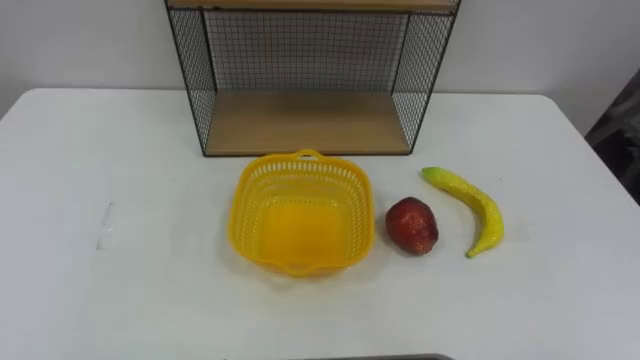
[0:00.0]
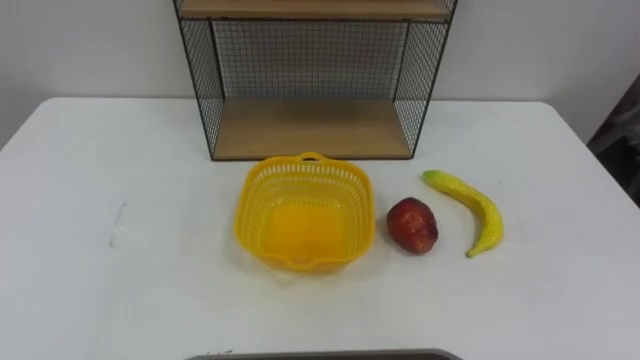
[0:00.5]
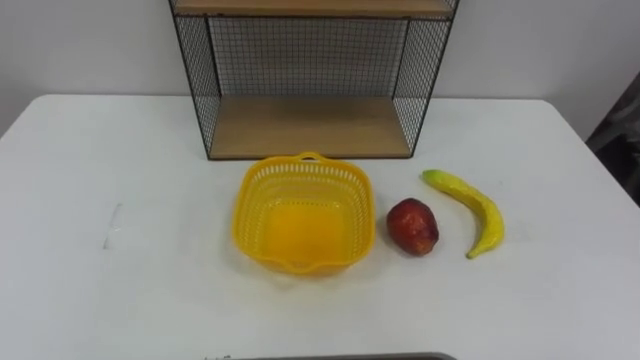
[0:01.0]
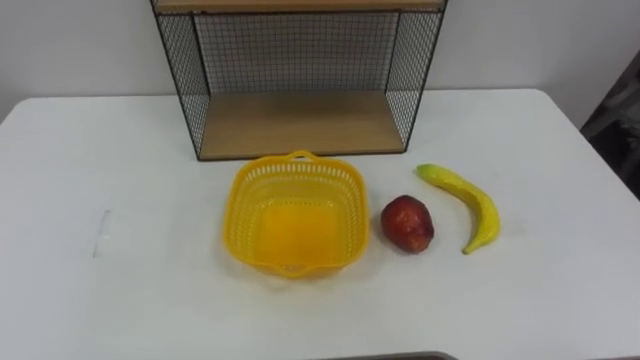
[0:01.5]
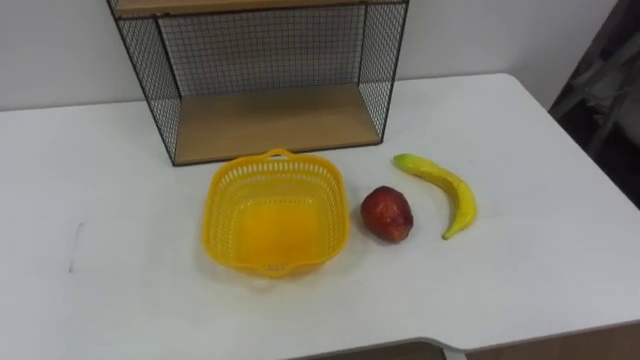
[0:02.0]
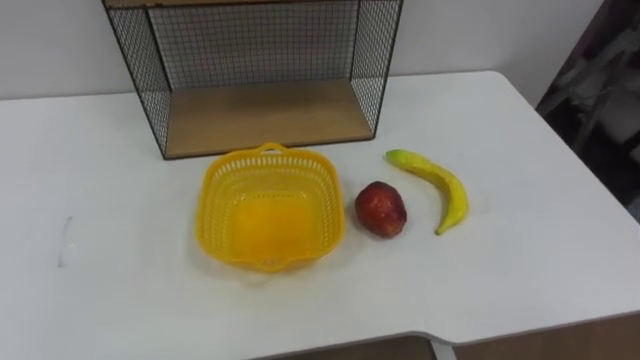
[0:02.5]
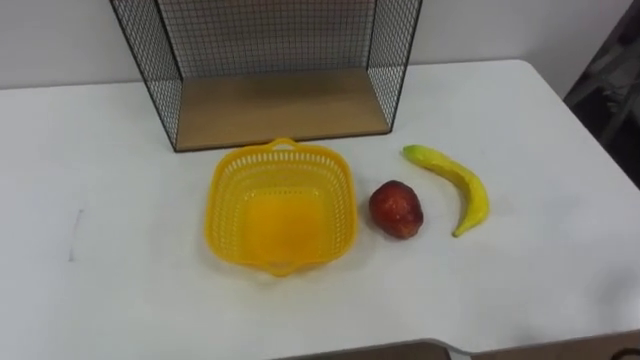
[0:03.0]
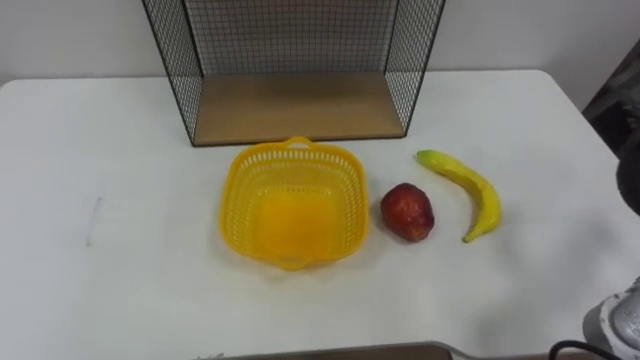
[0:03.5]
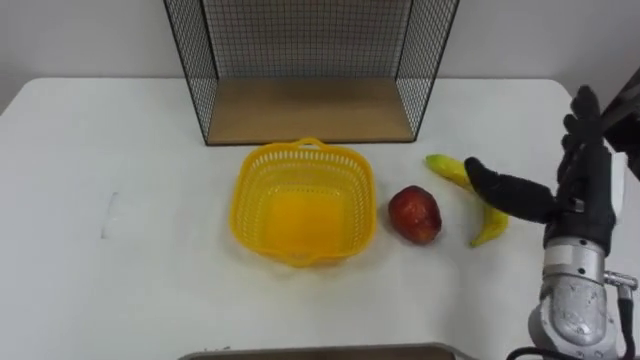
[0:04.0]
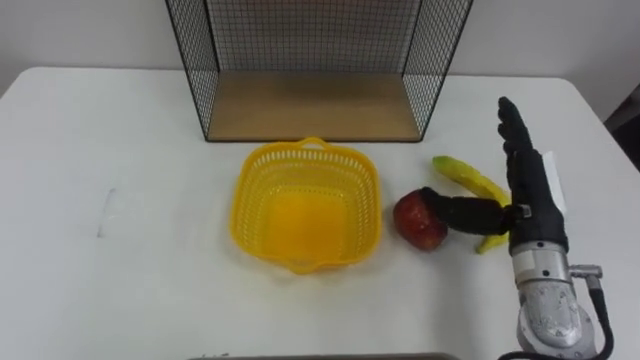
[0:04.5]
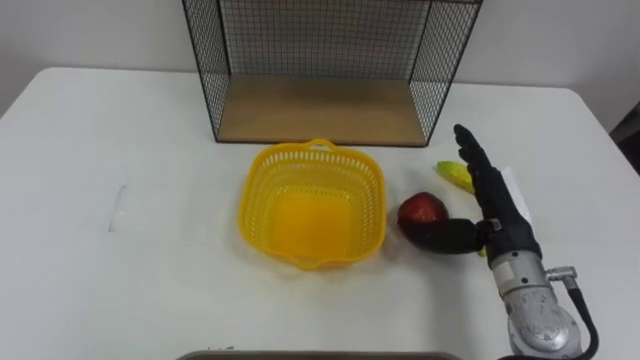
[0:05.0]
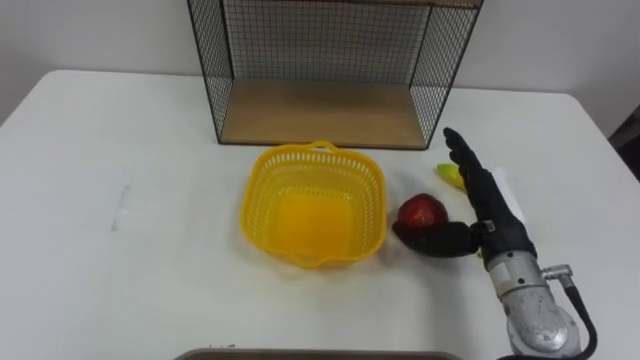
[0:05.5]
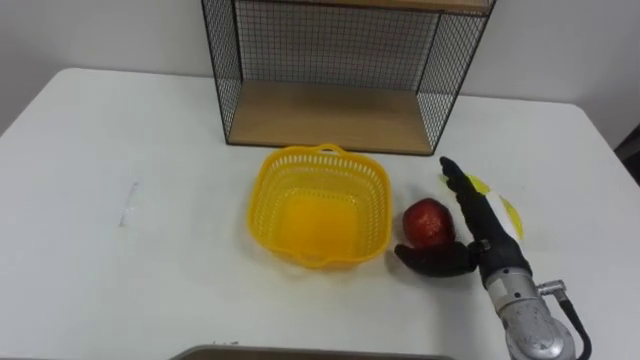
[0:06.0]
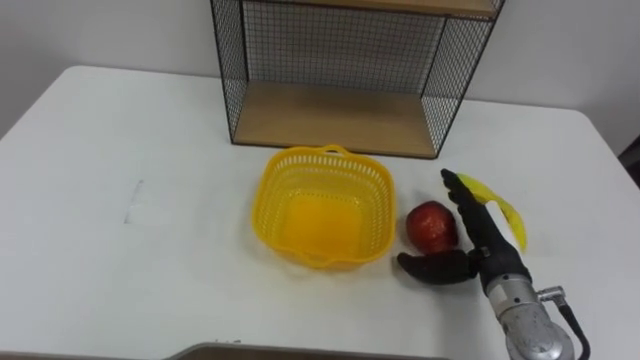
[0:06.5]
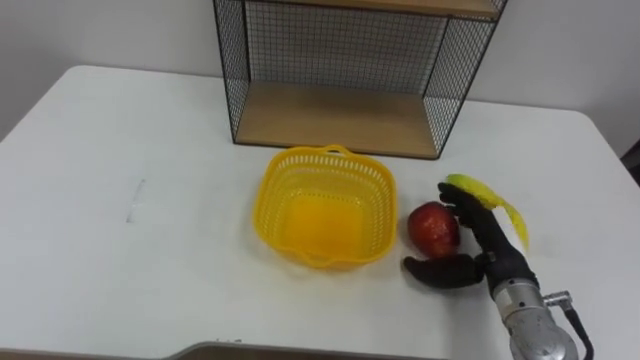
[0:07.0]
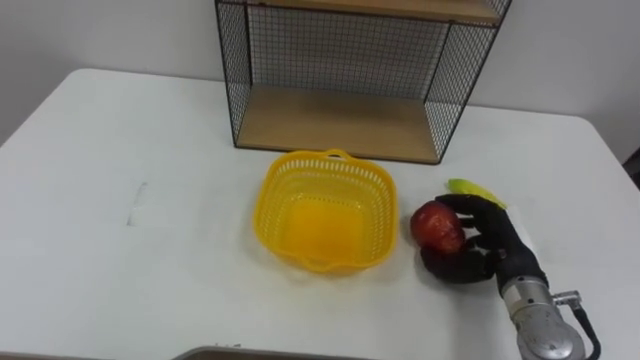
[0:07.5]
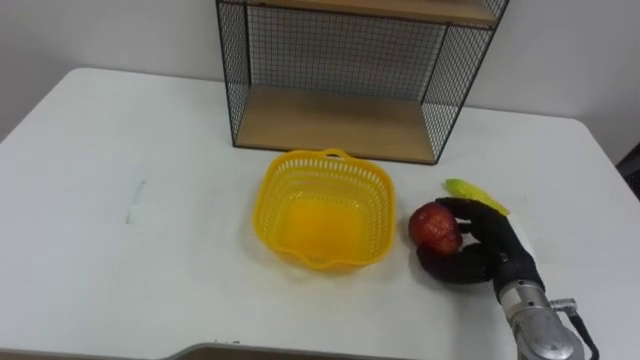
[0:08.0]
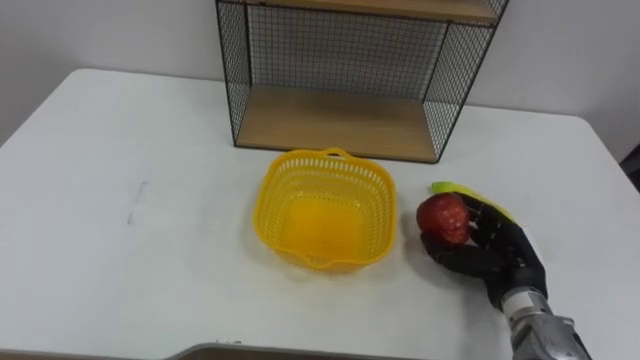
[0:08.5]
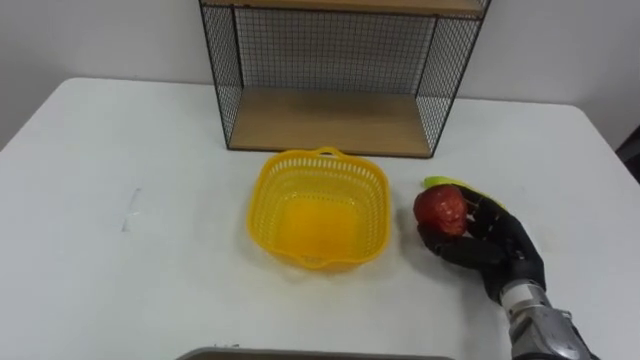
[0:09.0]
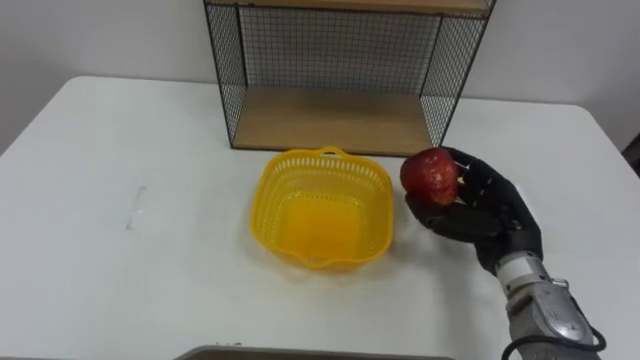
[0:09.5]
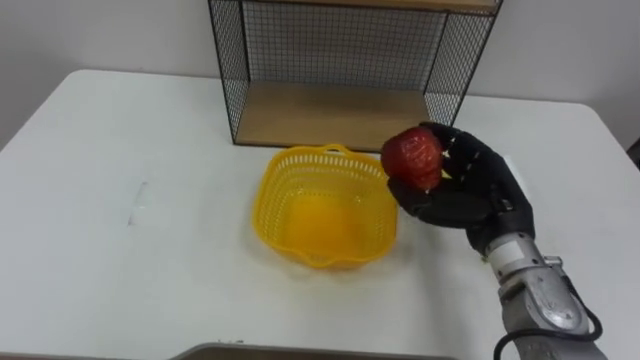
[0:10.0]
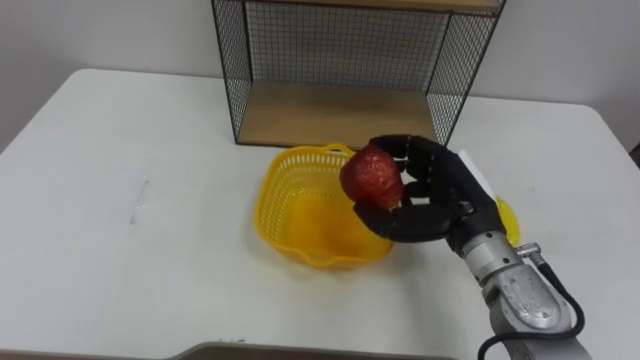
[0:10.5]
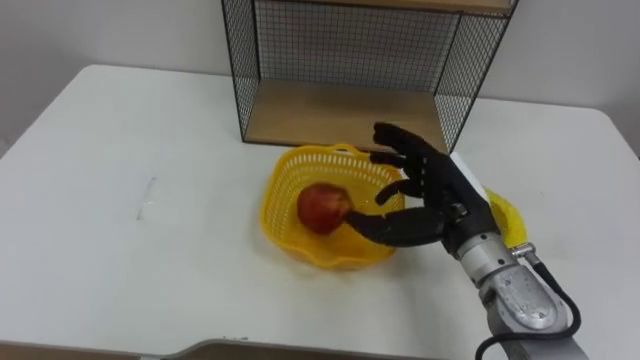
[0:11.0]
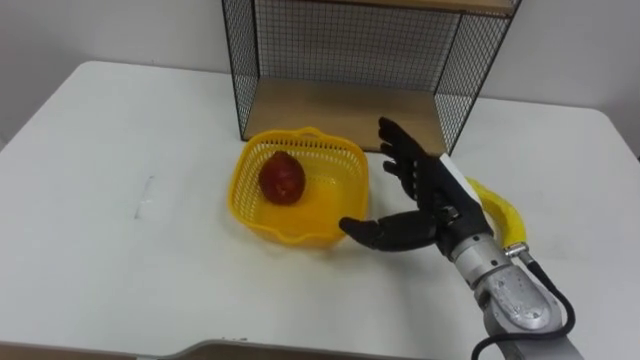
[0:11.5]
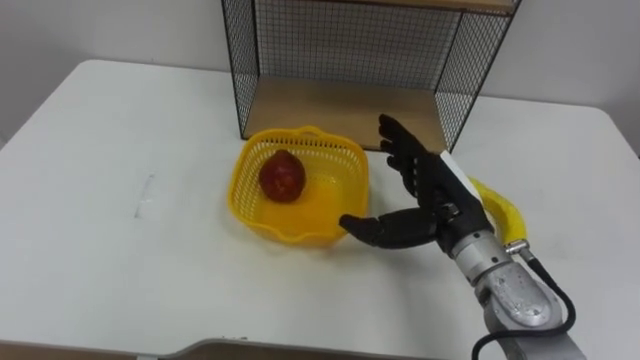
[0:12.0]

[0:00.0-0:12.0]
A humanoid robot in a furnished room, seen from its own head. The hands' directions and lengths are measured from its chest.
Task of the whole recording: Put the fruit on the table into the basket, then place the basket on the shelf.
0:04.0 to 0:06.0: The right hand shifts about 10 cm downward and to the left.
0:06.0 to 0:08.0: The right hand moves roughly 5 cm, and closes up.
0:08.0 to 0:10.0: The right hand goes some 10 cm upward.
0:10.0 to 0:12.0: The right hand travels to the left by roughly 5 cm, and opens.

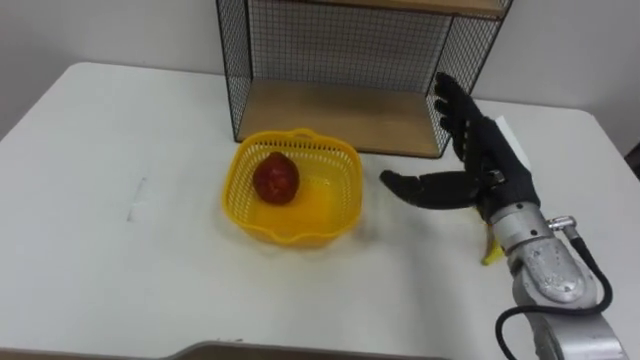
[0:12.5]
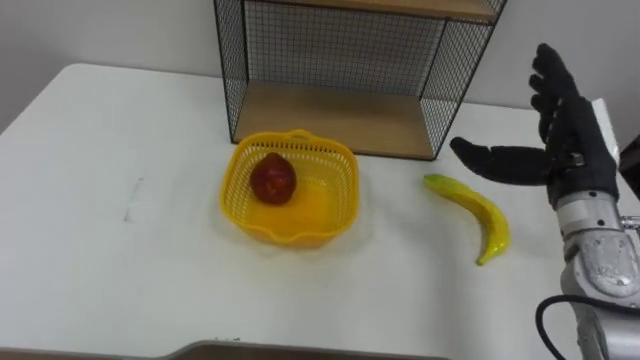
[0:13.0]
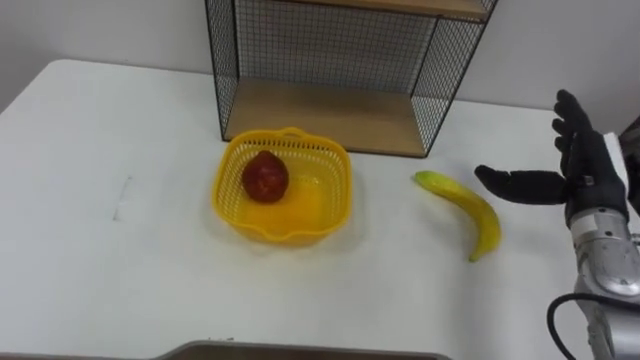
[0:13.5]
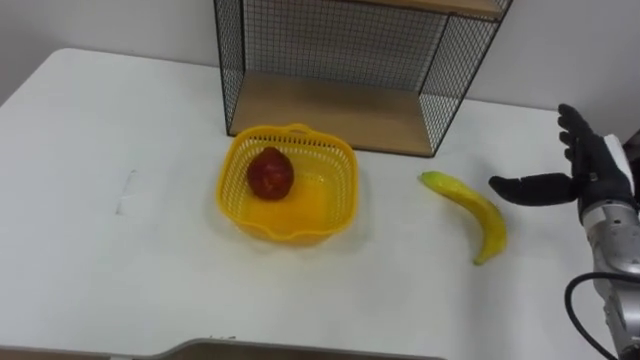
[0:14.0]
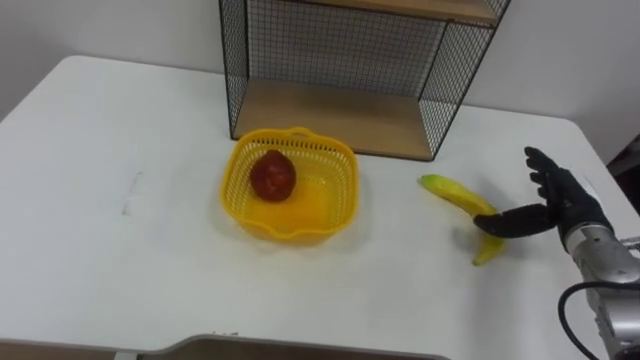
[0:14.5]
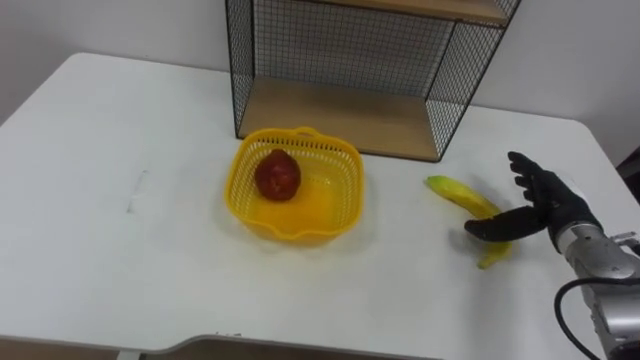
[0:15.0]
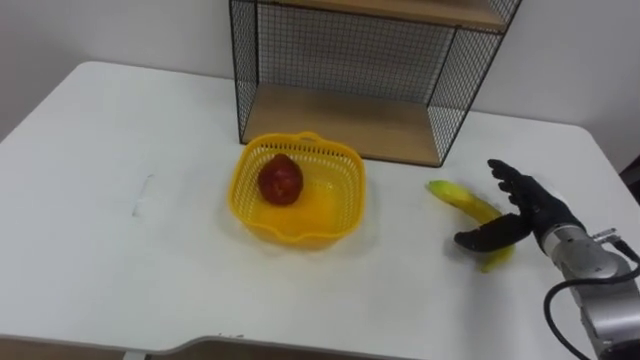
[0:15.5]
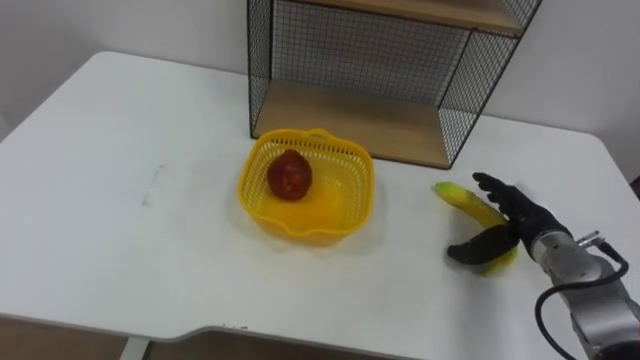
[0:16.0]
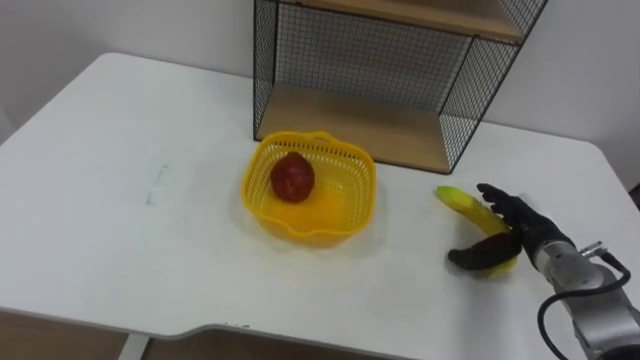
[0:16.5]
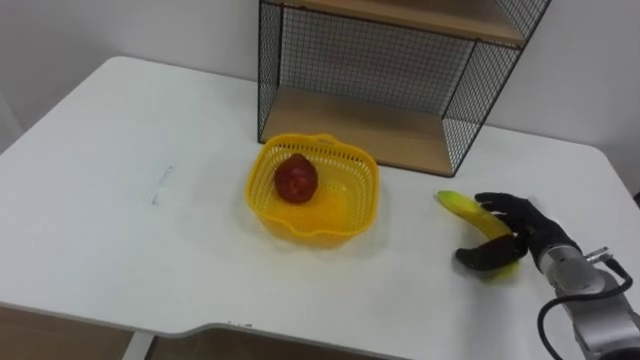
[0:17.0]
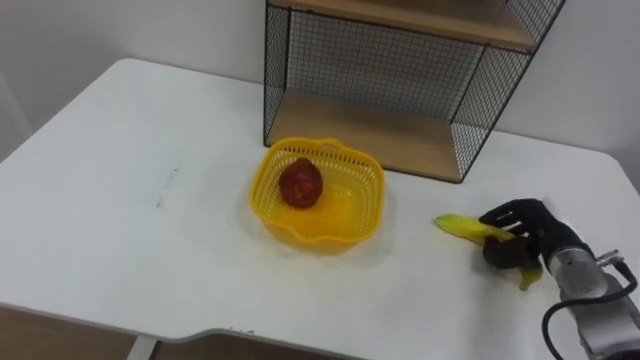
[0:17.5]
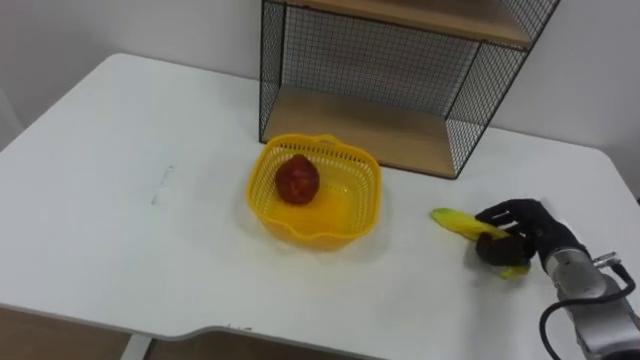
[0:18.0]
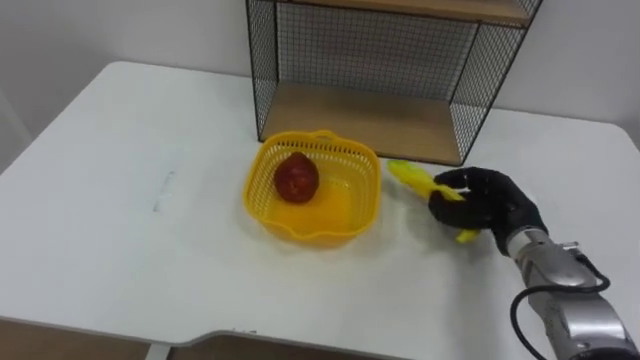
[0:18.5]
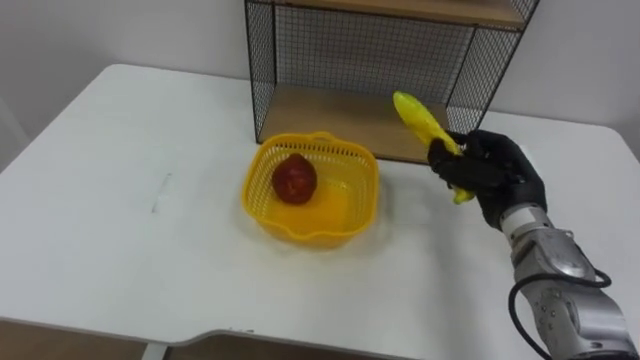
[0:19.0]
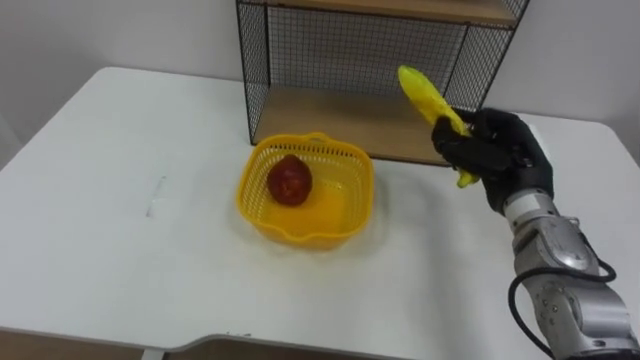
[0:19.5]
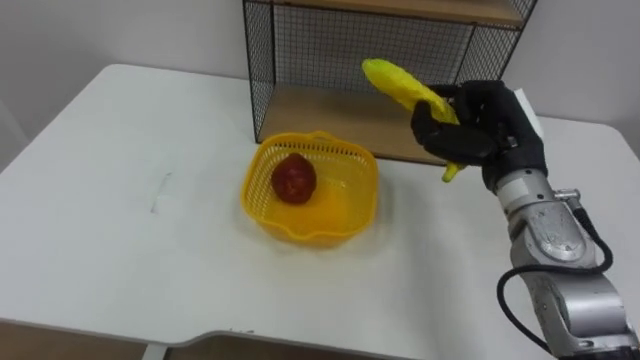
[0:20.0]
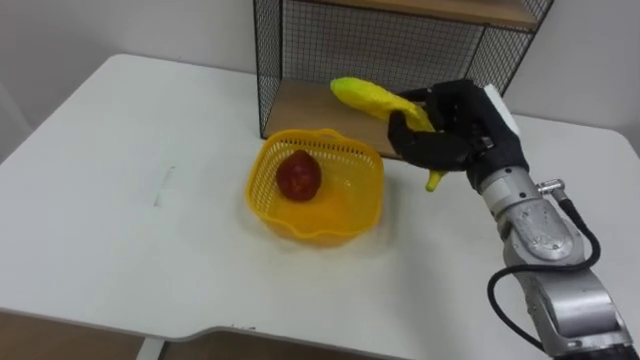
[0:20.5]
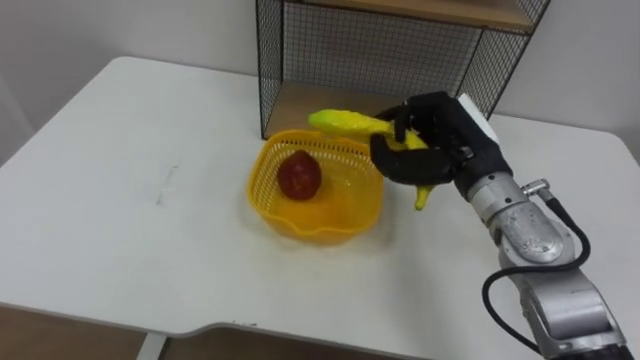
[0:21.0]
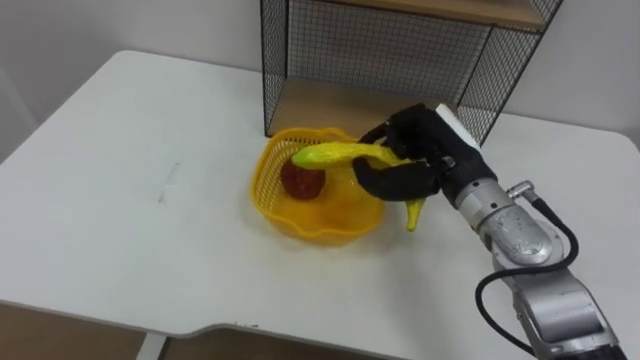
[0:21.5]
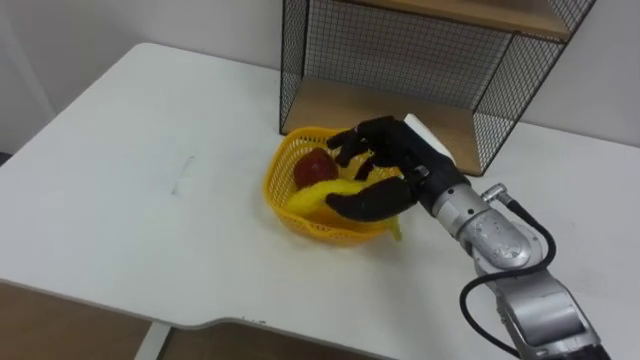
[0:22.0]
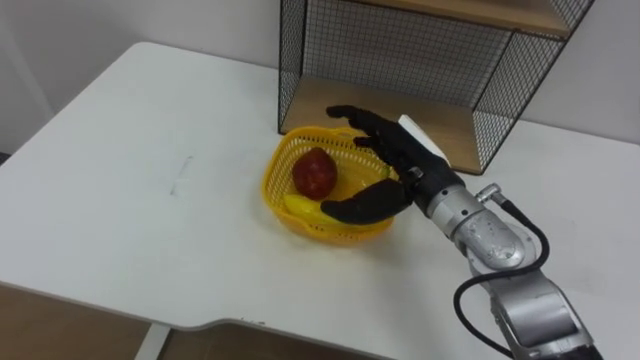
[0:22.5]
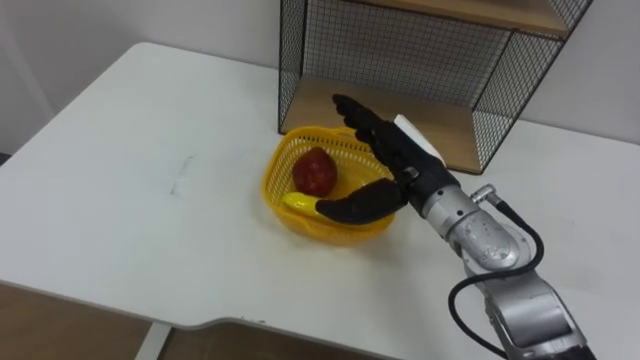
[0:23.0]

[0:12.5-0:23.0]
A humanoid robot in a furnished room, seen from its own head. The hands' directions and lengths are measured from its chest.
Task of the whole recording: Put the fruit on the table into the basket, then place the basket on the shelf.
0:12.5 to 0:14.5: The right hand travels to the right and downward by about 15 cm.
0:14.5 to 0:16.5: The right hand moves roughly 5 cm.
0:16.5 to 0:19.0: The right hand is displaced upward and to the left by some 10 cm, and closes its fingers.
0:19.0 to 0:21.0: The right hand heads to the left and upward, covering some 10 cm.
0:21.0 to 0:23.0: The right hand shifts about 5 cm to the left, and opens its fingers.
